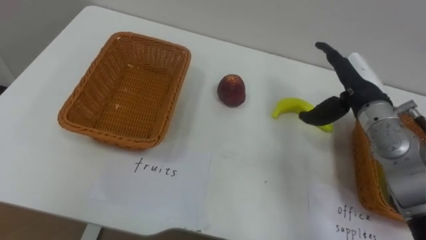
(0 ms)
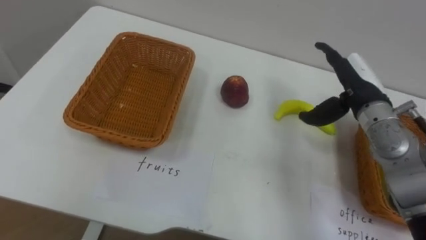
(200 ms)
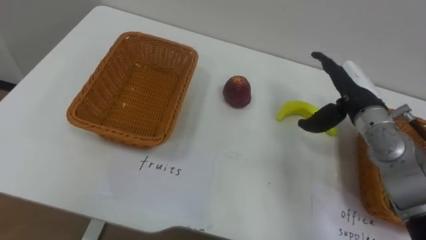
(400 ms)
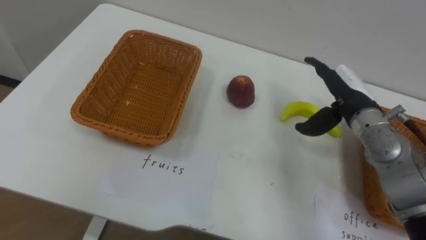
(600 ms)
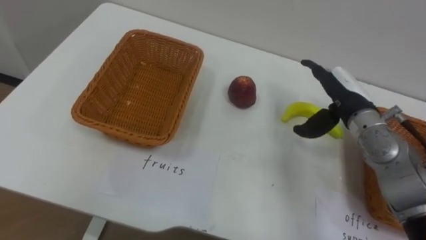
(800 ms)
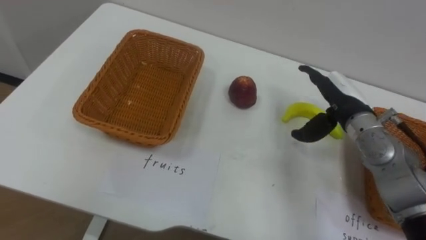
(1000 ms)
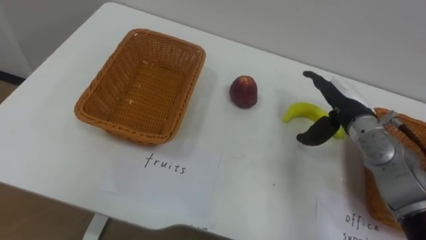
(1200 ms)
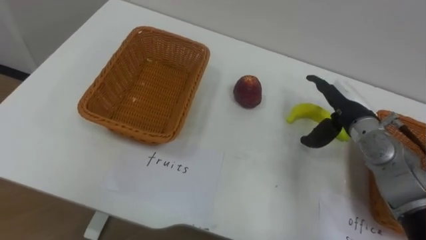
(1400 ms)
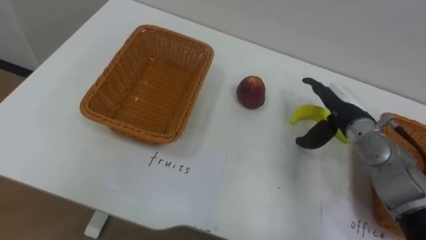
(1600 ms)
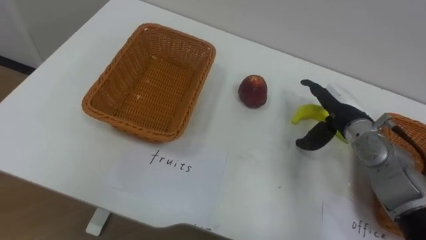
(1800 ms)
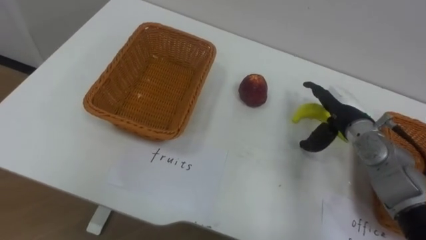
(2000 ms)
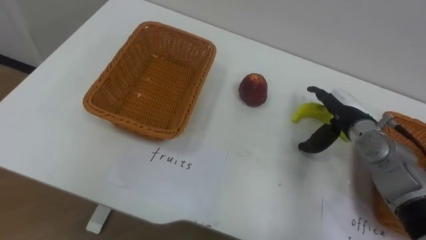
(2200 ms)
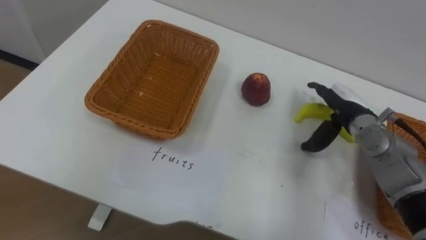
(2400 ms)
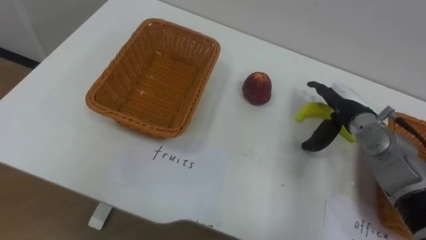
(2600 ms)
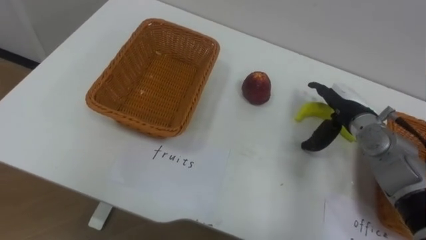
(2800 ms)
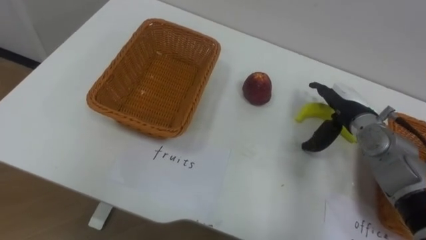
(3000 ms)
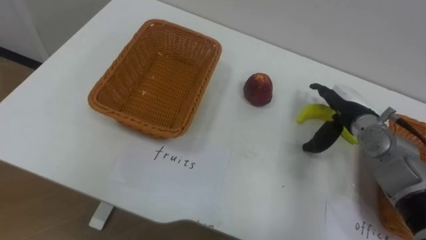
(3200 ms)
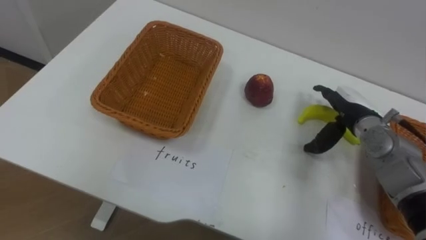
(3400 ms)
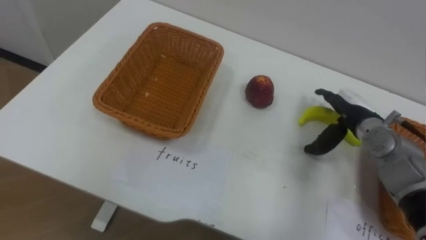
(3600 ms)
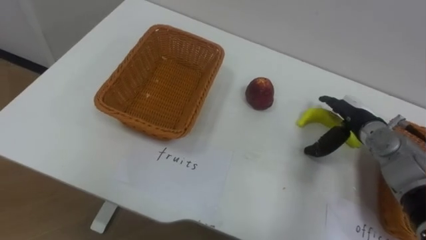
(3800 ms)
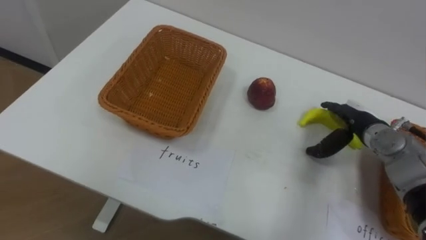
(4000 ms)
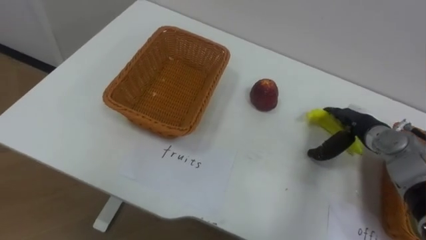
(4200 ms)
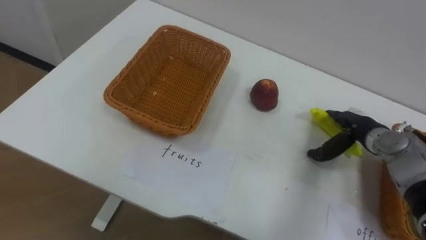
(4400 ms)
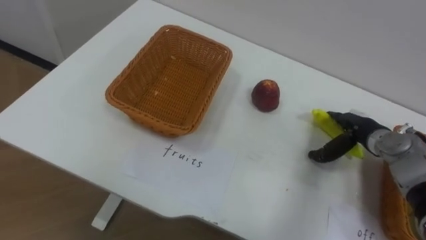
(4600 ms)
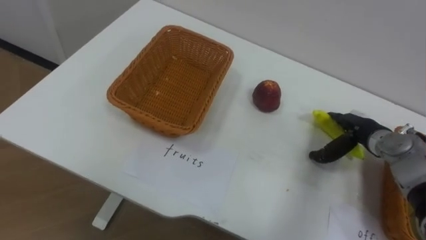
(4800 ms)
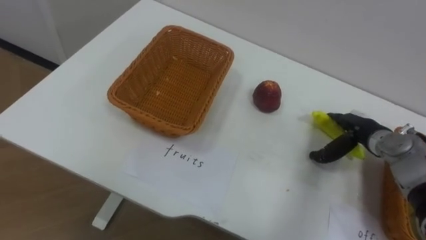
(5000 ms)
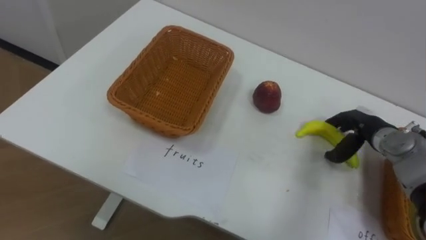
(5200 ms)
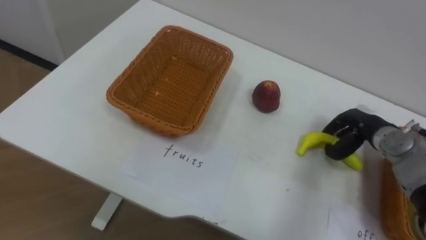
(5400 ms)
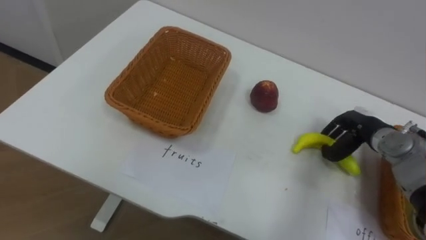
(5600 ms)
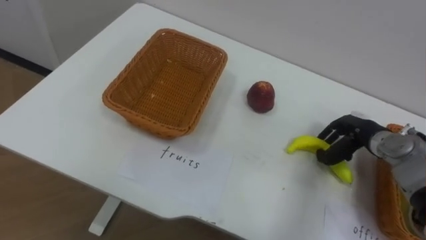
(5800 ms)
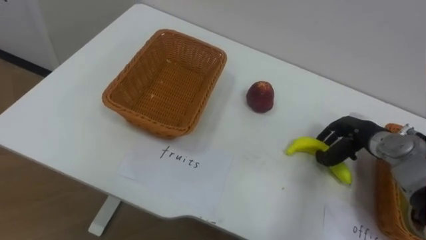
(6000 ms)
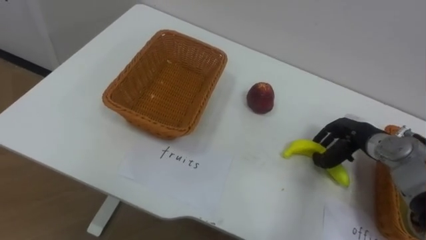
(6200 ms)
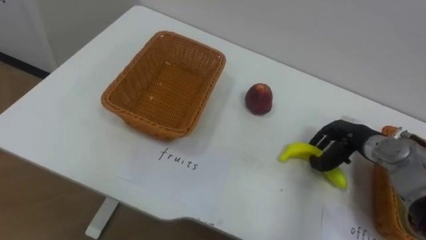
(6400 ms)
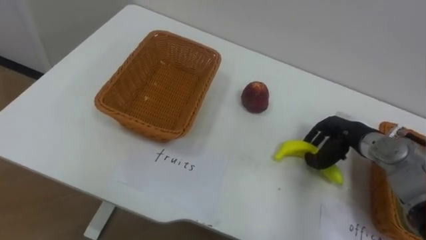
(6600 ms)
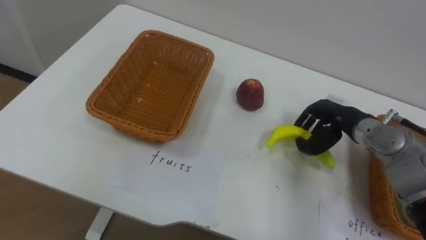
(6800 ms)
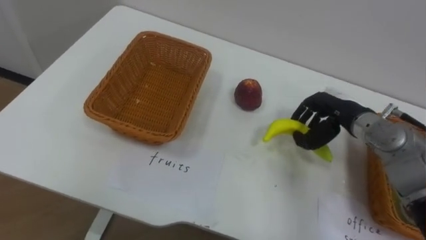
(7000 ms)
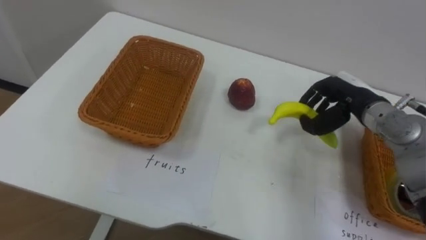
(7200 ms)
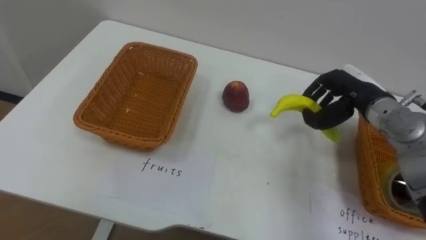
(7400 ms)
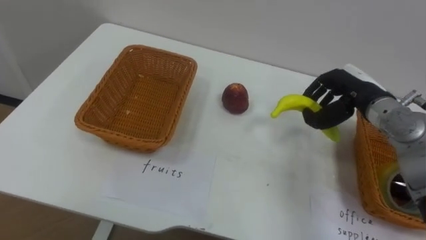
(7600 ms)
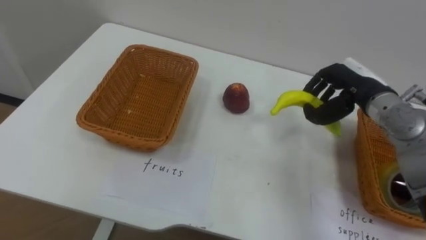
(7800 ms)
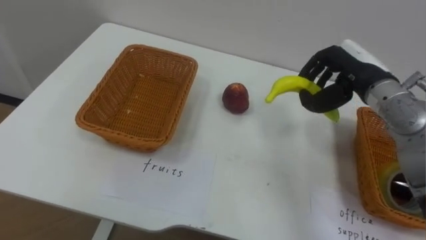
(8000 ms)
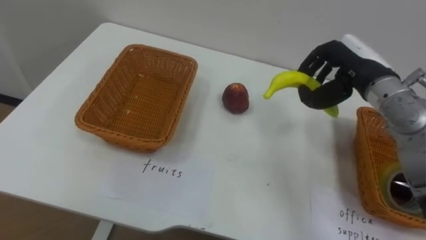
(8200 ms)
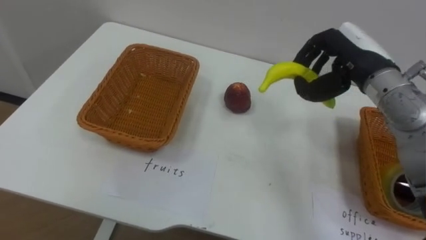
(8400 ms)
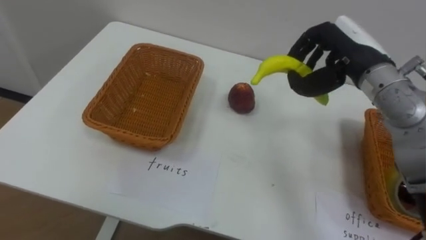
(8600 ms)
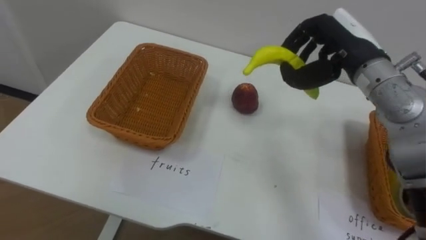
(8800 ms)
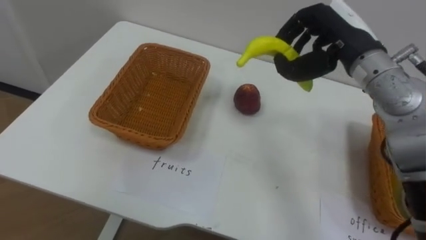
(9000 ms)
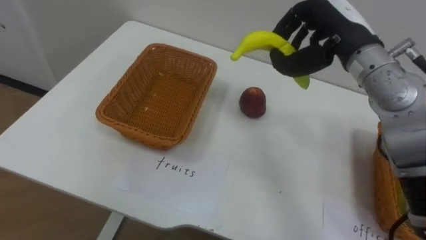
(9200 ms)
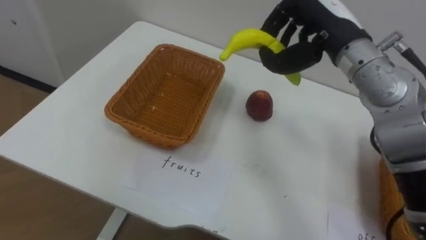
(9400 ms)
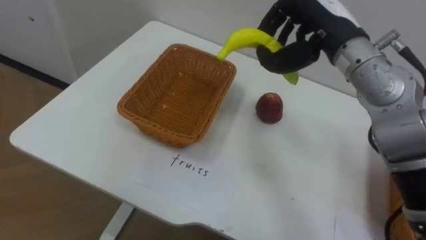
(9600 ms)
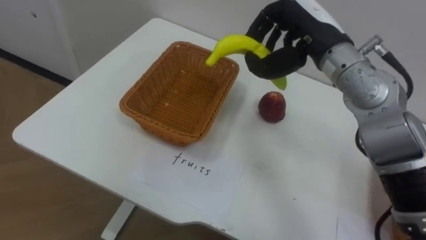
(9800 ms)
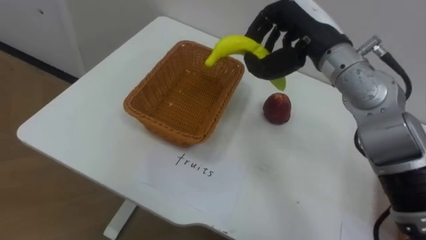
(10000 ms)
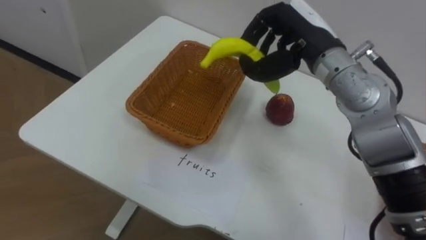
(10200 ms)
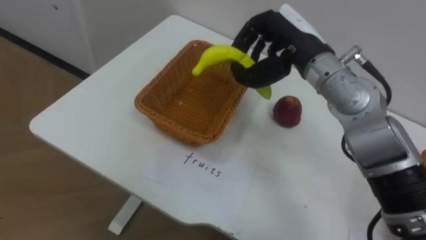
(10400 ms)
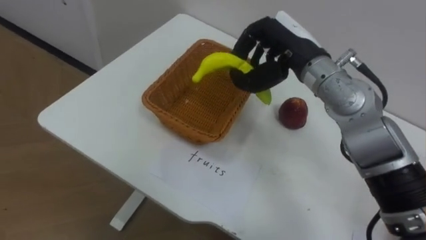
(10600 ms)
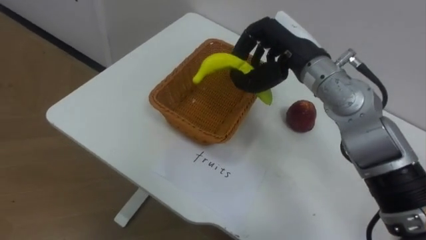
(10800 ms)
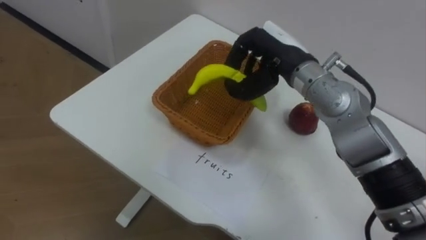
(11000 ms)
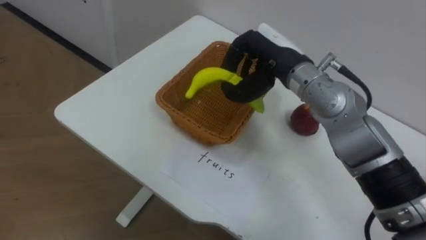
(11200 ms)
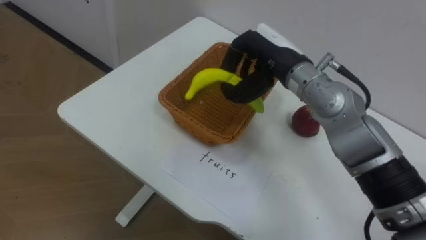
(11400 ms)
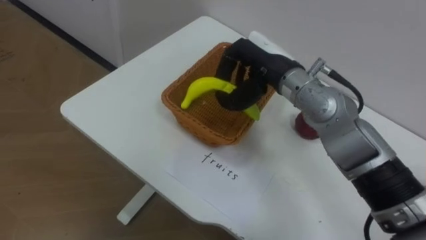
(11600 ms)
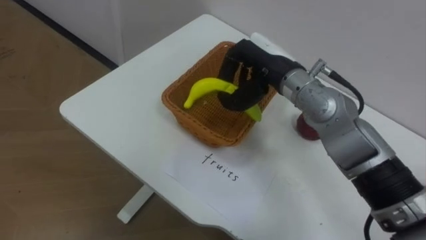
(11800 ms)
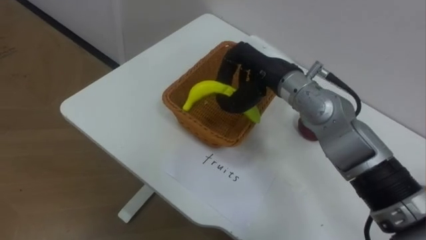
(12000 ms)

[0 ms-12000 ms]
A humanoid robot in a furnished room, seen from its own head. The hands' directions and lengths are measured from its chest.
Task of the whole recording: Separate the items on the table and place them into the two baskets.
0 ms to 1600 ms: The right hand moves downward, some 5 cm.
3000 ms to 4400 ms: The right hand shifts approximately 5 cm downward.
4400 ms to 6000 ms: The right hand closes.
6000 ms to 7600 ms: The right hand travels upward by roughly 10 cm.
7600 ms to 9000 ms: The right hand shifts approximately 10 cm upward and to the left.
9000 ms to 10400 ms: The right hand heads to the left, covering about 5 cm.
10400 ms to 12000 ms: The right hand changes place by roughly 5 cm.

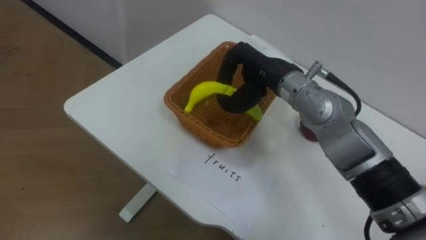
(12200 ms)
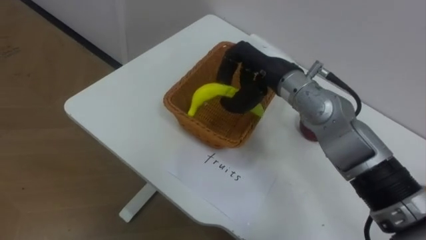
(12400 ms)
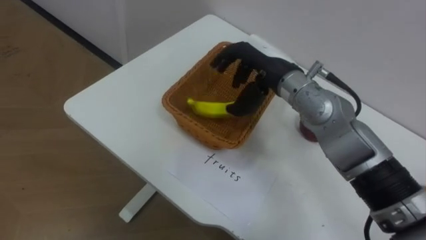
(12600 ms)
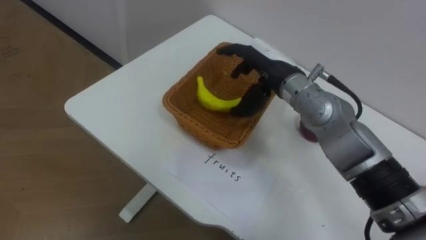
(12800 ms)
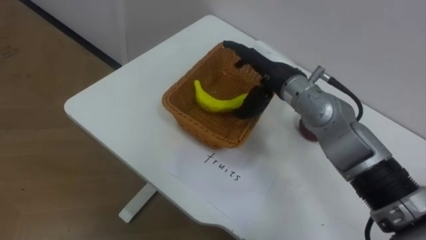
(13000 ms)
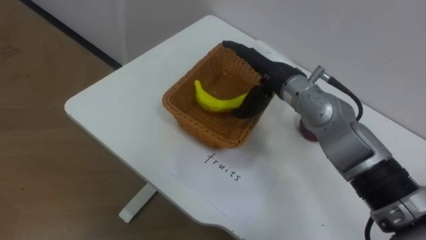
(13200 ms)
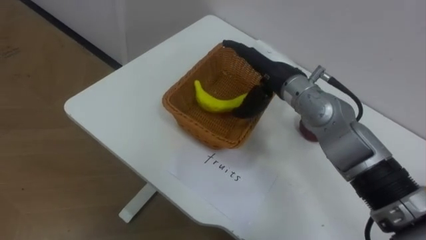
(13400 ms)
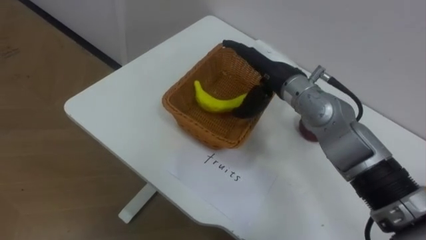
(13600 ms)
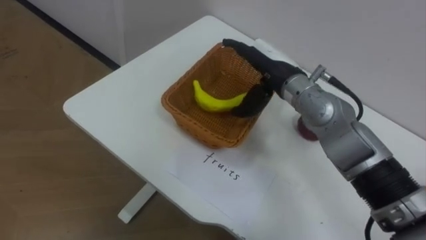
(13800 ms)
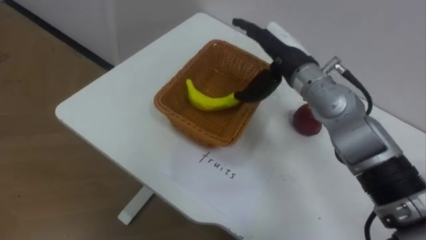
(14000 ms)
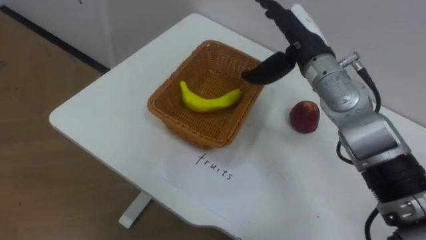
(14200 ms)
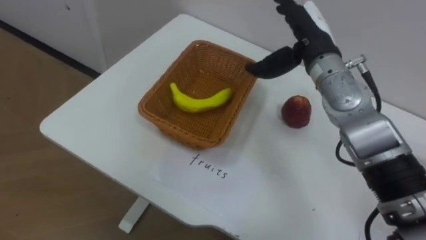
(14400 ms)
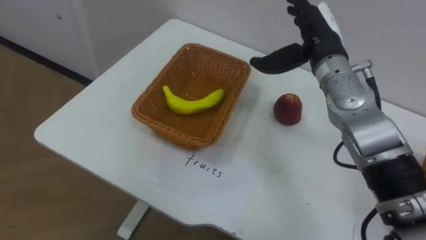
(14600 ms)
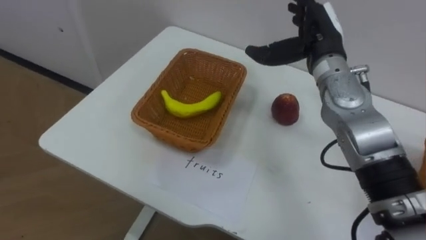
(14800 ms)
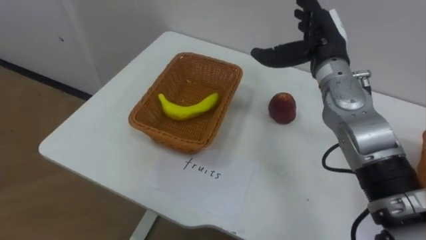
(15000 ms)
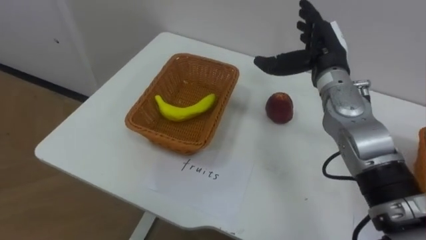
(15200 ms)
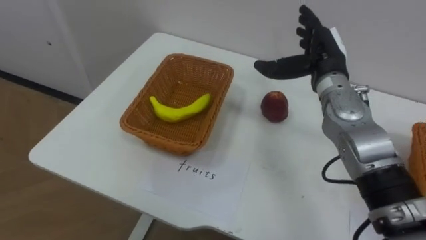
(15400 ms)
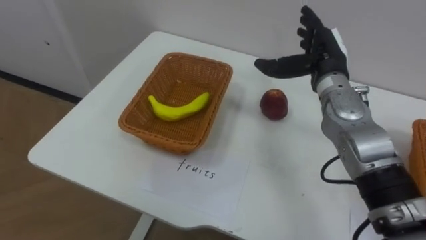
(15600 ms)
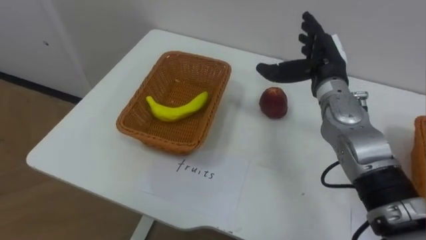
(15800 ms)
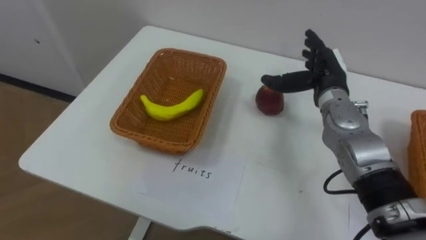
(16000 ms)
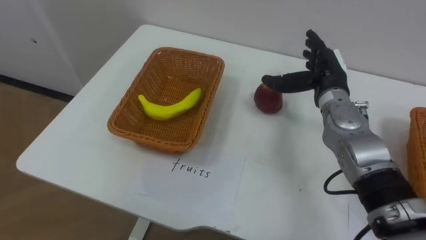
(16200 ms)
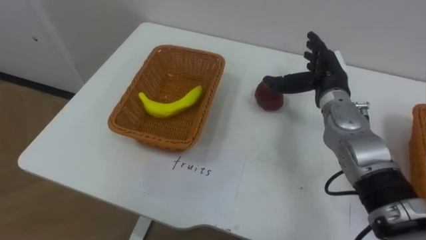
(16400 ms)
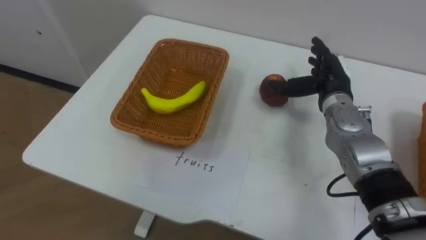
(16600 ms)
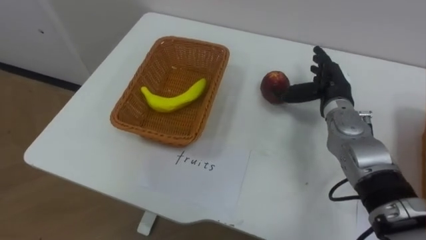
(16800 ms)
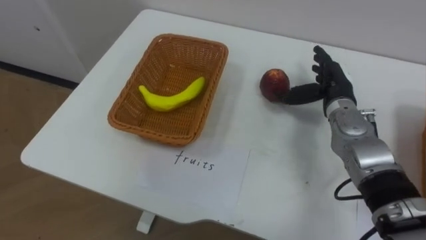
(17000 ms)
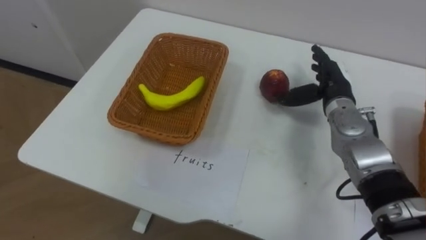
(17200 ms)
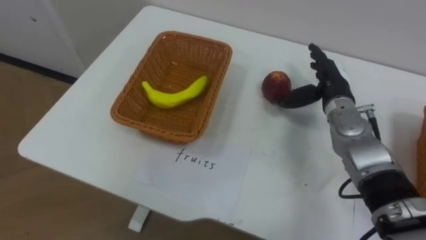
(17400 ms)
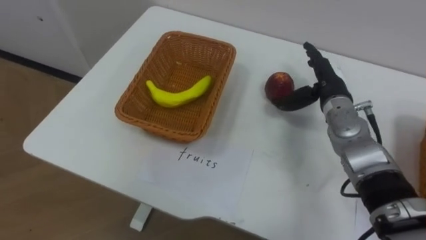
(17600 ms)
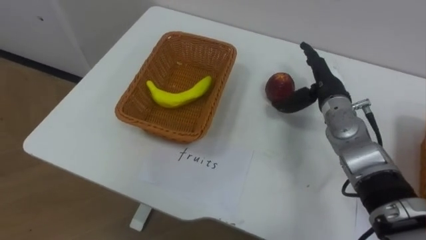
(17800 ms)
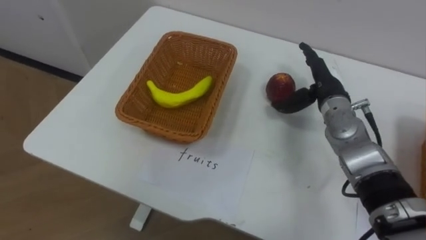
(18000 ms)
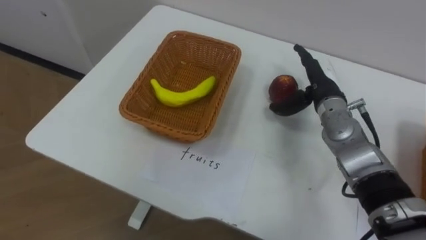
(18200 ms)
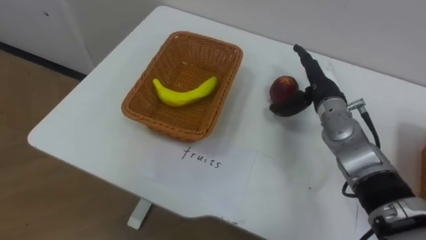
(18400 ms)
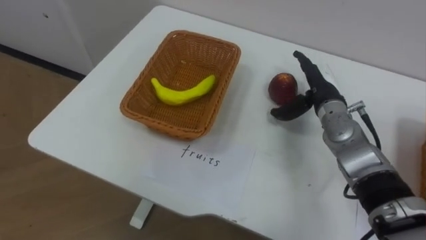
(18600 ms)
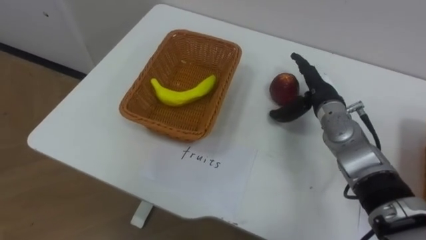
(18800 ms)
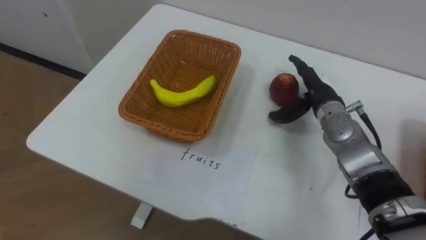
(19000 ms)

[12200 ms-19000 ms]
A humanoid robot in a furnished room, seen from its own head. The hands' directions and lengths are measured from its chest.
Task of the whole recording: Separate the items on the table and place them into the two baskets.
12200 ms to 13600 ms: The right hand opens its fingers.
13600 ms to 15000 ms: The right hand travels to the right by roughly 10 cm.
15000 ms to 16200 ms: The right hand moves downward, some 5 cm.
